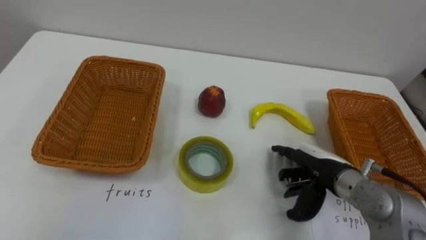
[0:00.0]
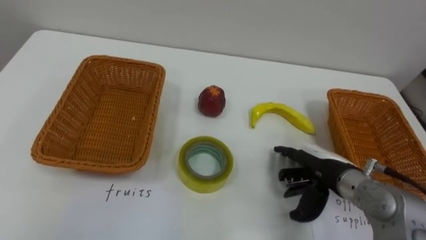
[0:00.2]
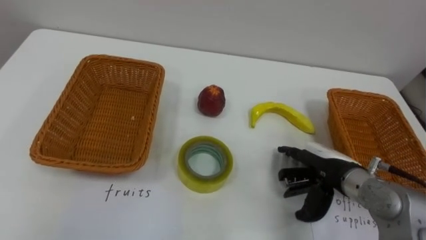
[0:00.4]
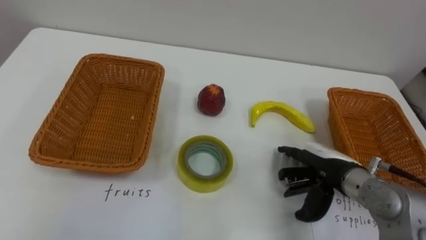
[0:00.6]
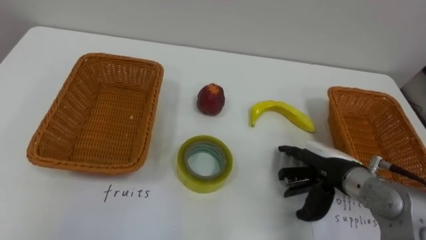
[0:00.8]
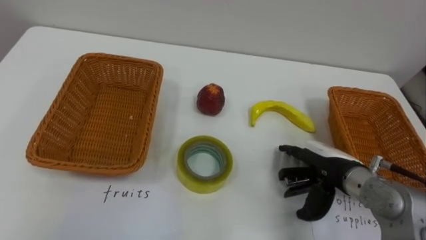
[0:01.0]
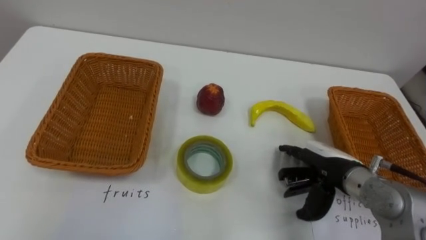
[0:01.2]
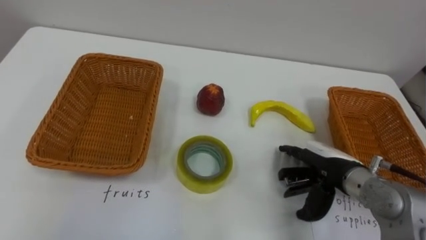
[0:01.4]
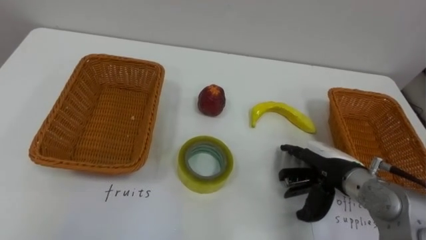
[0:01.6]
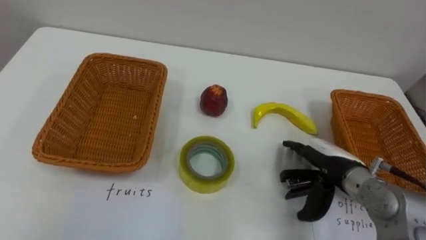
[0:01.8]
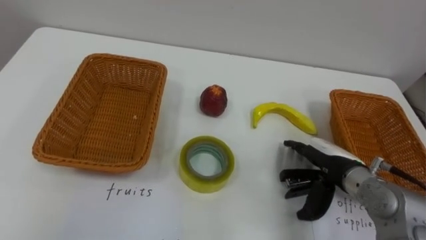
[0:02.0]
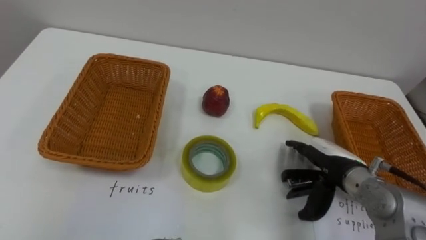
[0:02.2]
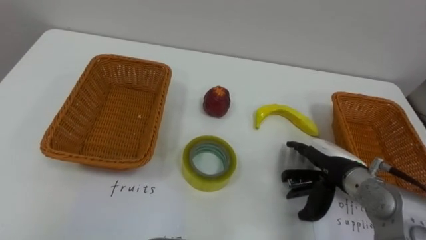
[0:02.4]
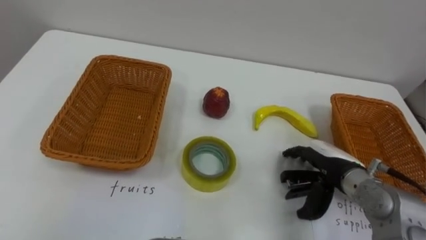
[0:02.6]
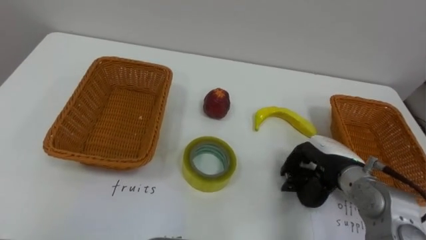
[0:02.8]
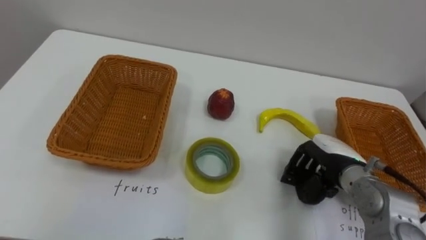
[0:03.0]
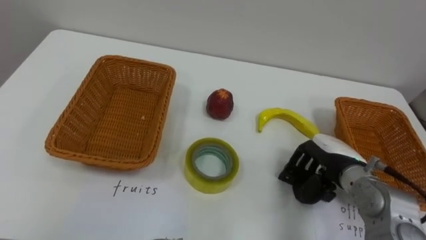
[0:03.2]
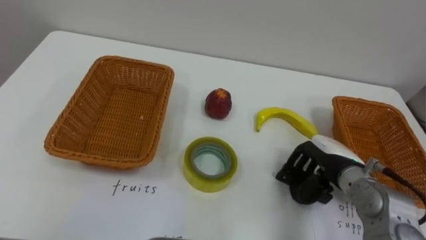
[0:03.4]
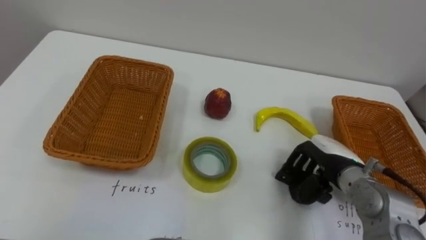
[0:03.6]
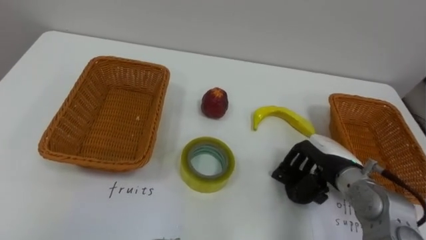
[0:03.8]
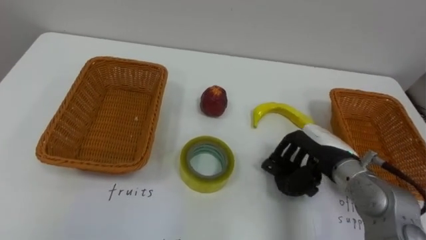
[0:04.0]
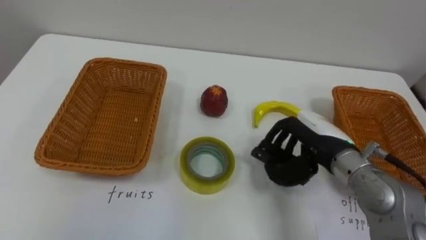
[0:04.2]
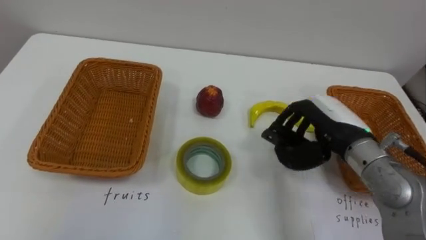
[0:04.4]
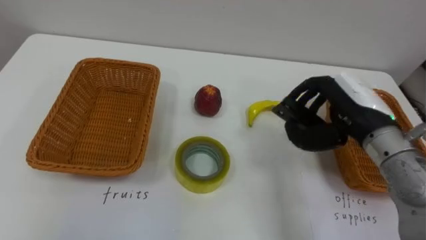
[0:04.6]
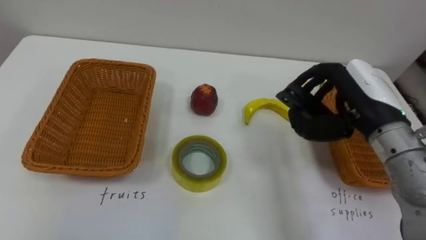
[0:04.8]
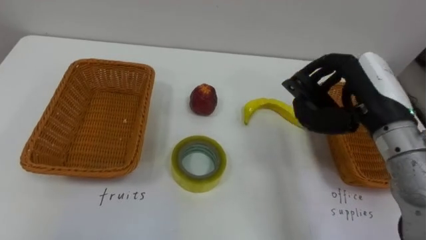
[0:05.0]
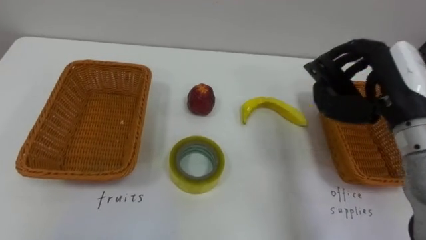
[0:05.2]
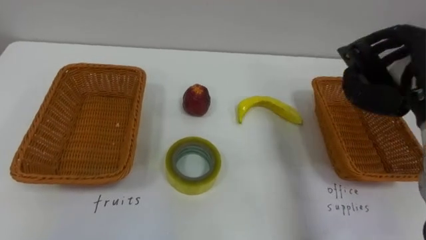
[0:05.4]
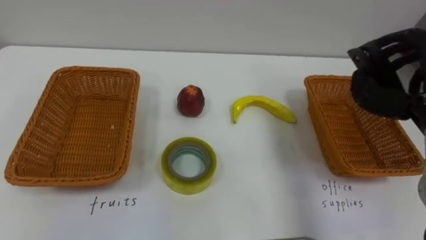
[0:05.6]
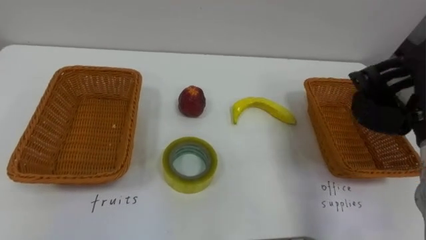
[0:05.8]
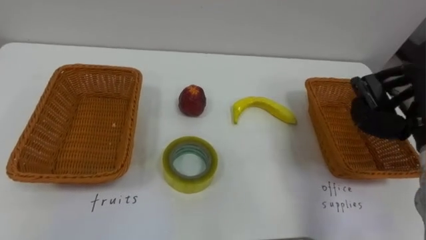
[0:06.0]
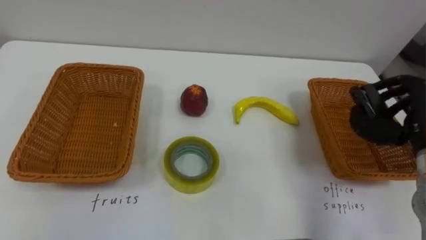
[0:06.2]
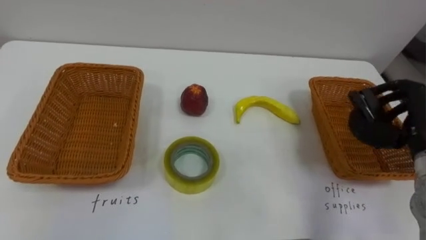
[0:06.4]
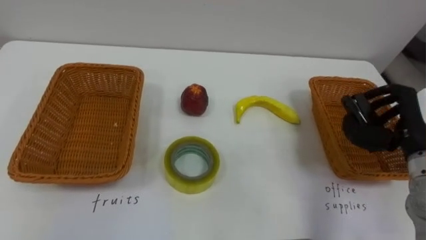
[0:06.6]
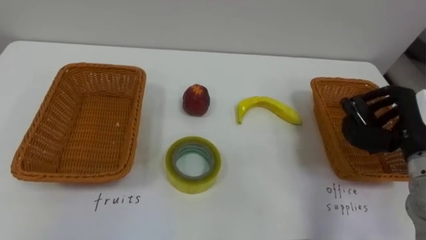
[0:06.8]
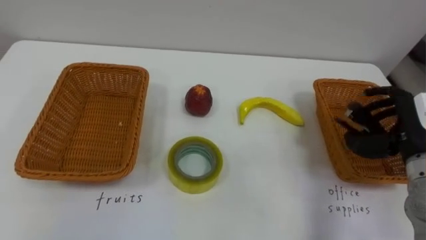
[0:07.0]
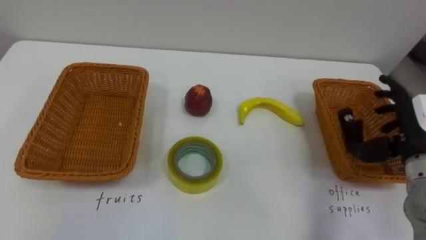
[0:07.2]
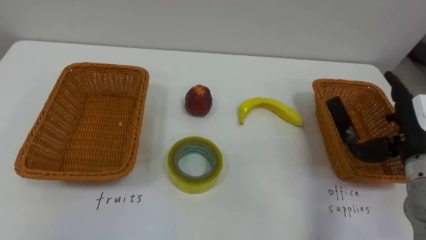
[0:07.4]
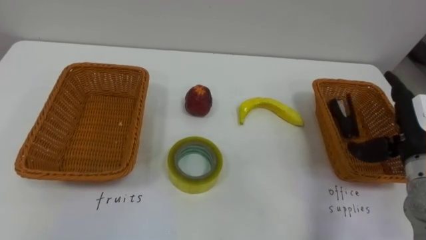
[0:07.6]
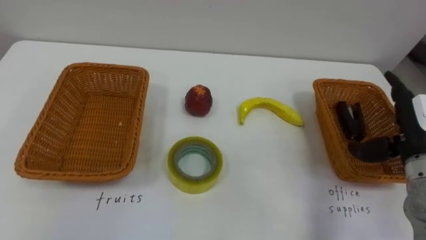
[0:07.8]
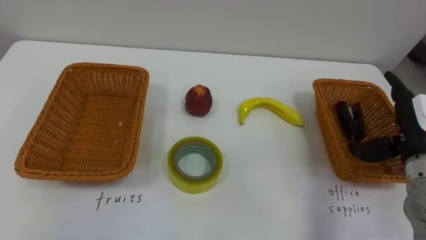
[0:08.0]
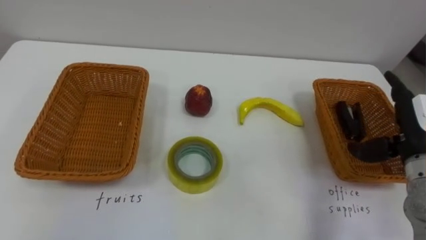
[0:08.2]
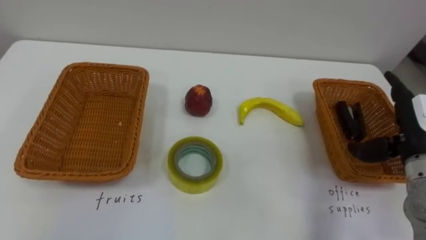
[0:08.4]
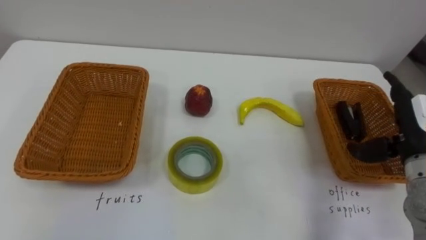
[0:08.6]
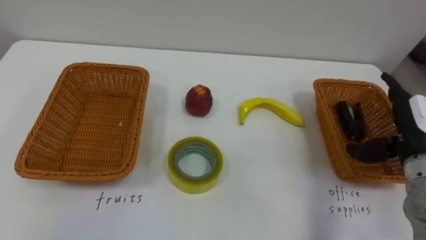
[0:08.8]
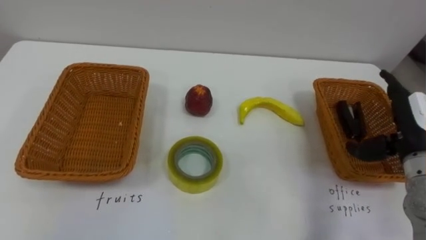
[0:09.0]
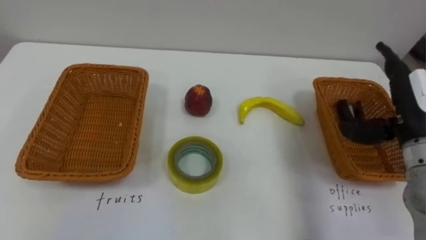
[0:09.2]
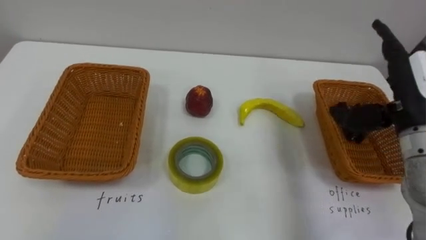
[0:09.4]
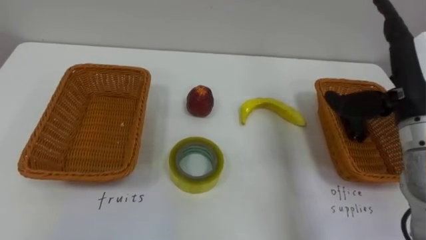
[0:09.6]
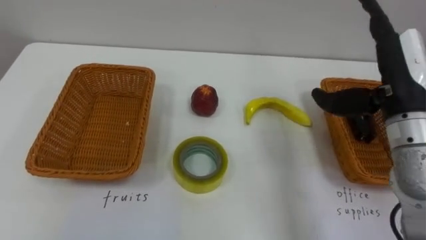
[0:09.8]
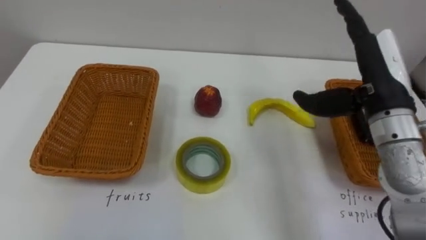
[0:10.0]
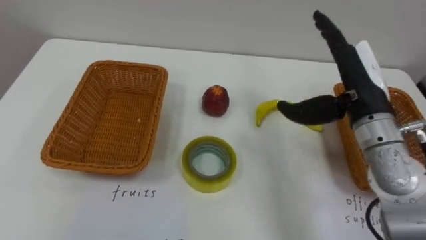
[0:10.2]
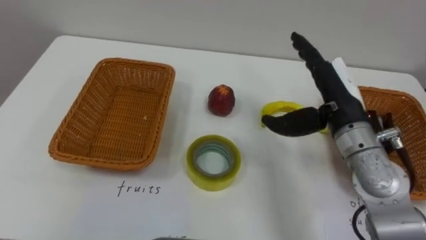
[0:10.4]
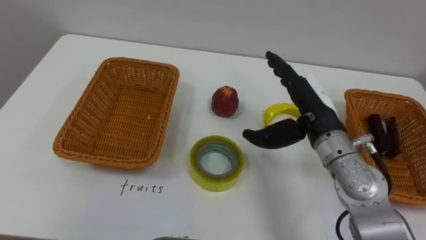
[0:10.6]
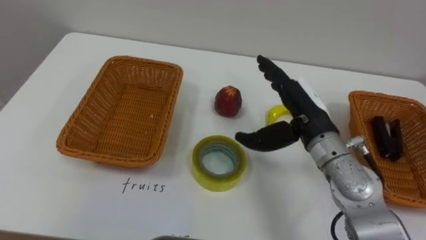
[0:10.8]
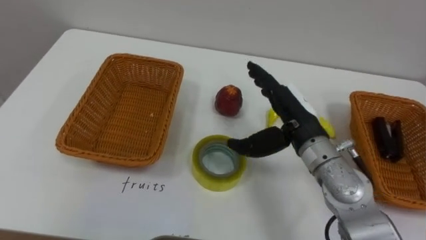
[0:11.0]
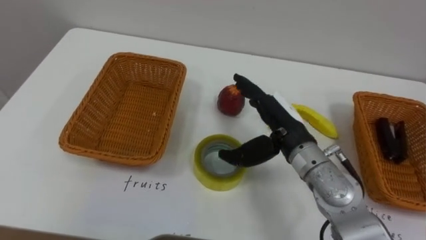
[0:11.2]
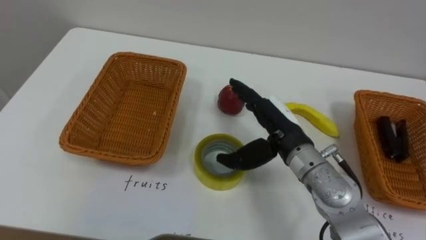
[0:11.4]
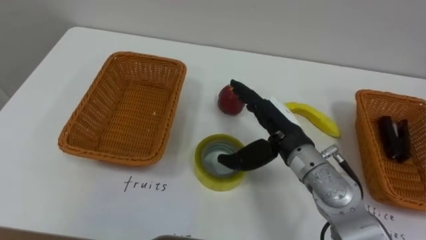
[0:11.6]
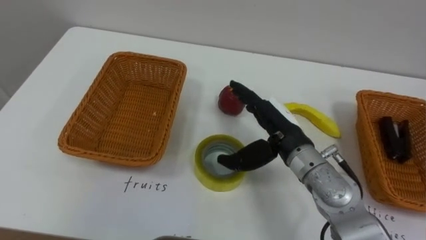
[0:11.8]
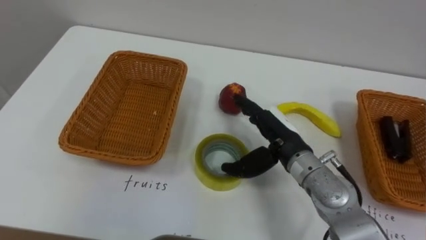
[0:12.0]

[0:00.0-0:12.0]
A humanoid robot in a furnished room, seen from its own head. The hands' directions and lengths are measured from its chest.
Task of the whole recording: Separate the items on the table and place them into the two baskets.
0:01.6 to 0:03.0: The right hand closes.
0:03.0 to 0:04.4: The right hand moves upward, some 10 cm.
0:09.0 to 0:10.4: The right hand travels to the left by about 15 cm.
0:10.4 to 0:12.0: The right hand is displaced downward and to the left by about 10 cm.

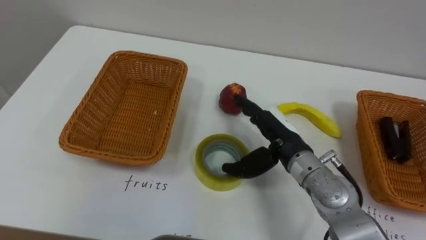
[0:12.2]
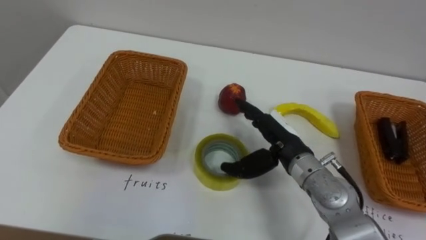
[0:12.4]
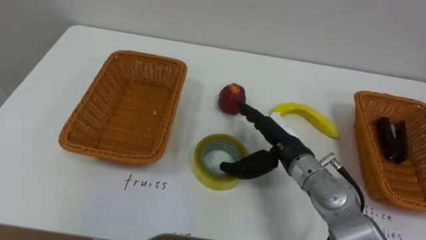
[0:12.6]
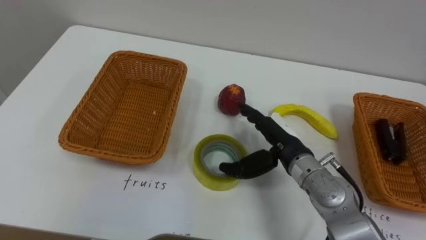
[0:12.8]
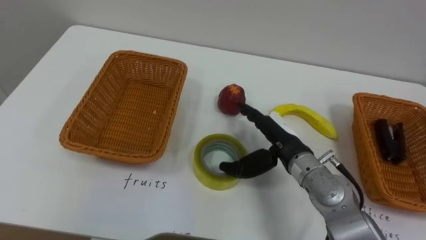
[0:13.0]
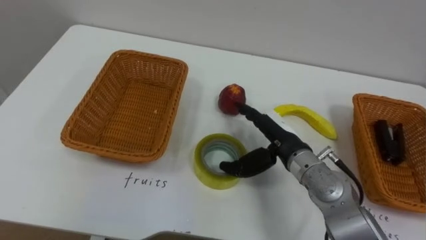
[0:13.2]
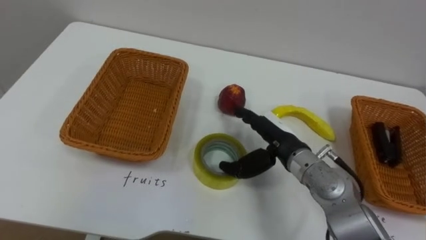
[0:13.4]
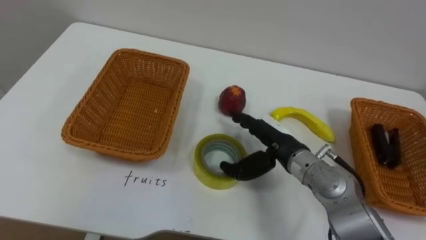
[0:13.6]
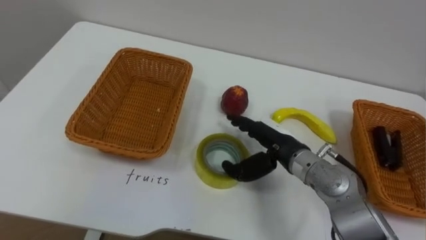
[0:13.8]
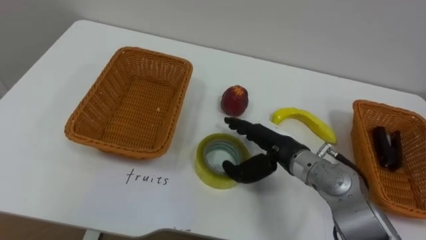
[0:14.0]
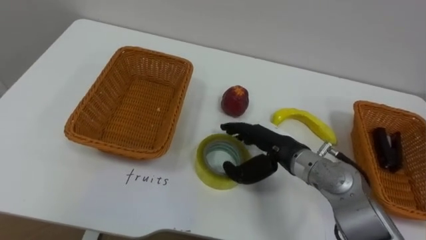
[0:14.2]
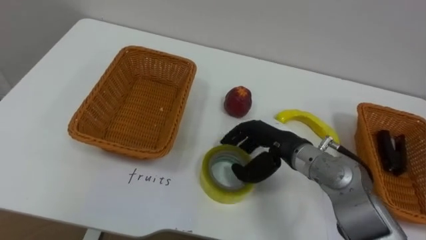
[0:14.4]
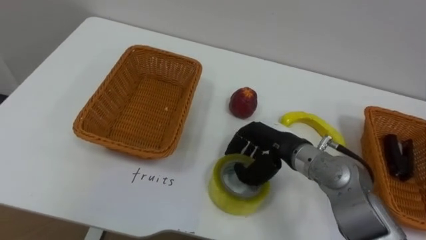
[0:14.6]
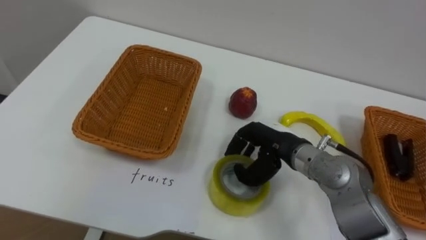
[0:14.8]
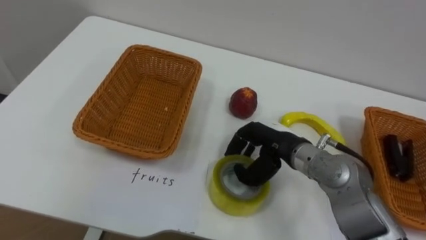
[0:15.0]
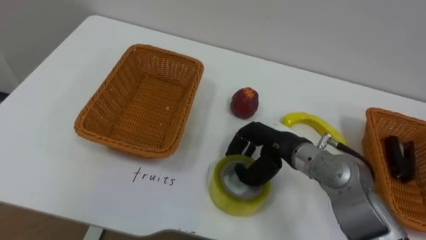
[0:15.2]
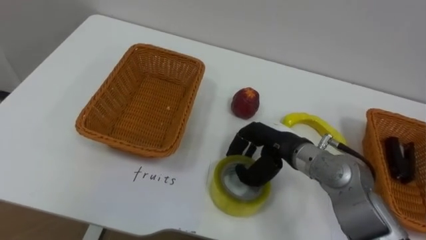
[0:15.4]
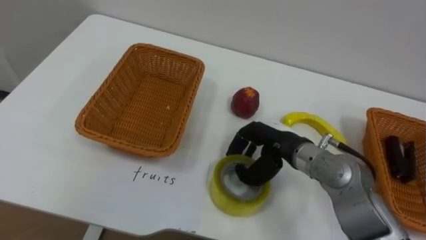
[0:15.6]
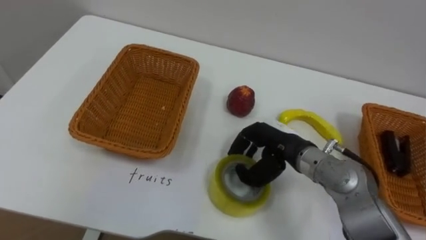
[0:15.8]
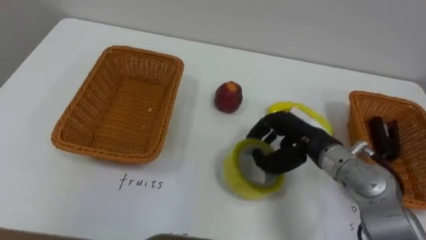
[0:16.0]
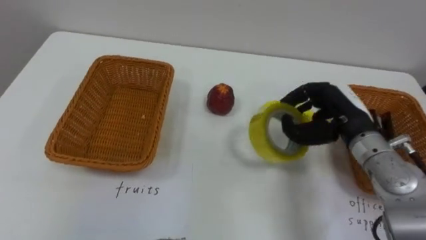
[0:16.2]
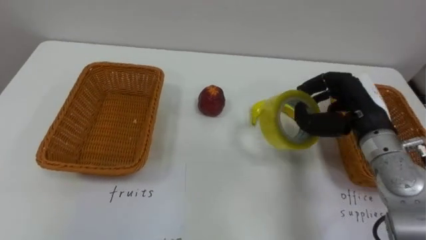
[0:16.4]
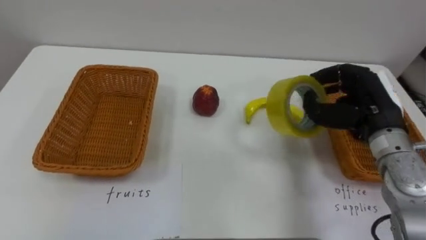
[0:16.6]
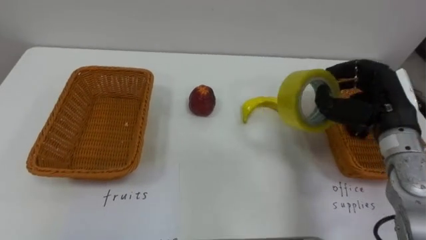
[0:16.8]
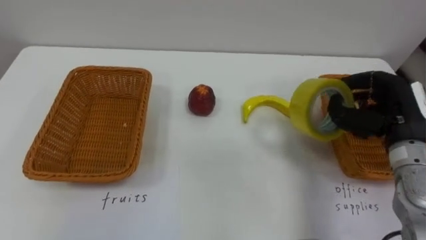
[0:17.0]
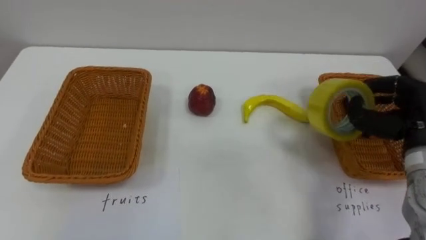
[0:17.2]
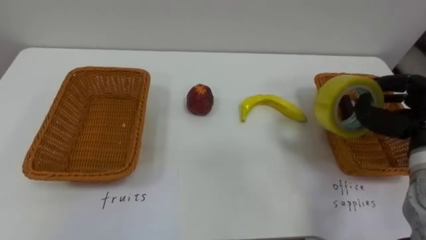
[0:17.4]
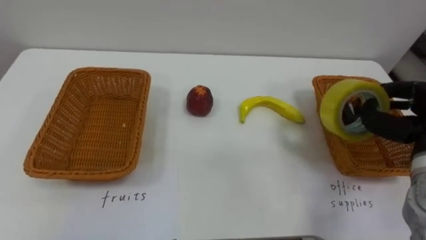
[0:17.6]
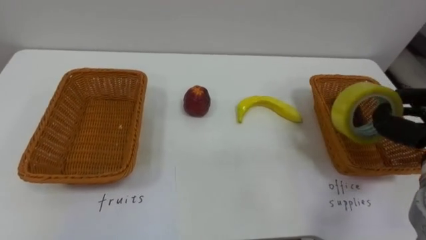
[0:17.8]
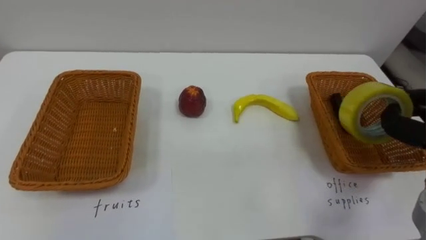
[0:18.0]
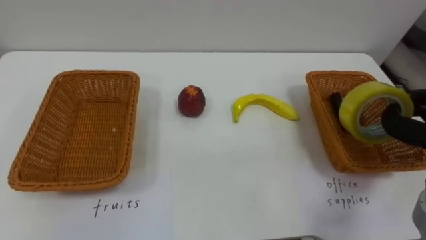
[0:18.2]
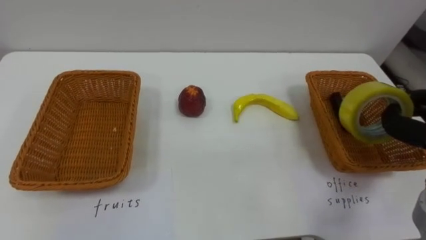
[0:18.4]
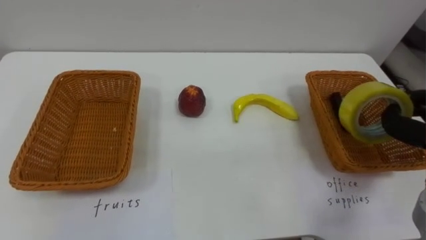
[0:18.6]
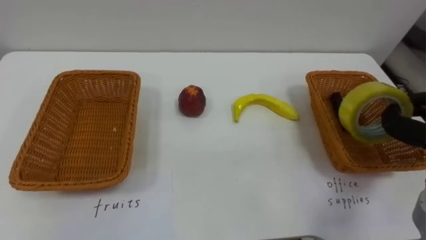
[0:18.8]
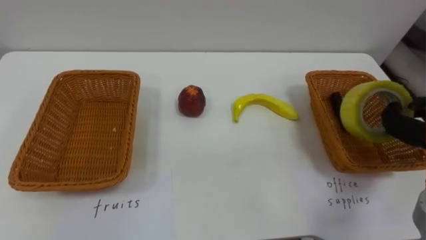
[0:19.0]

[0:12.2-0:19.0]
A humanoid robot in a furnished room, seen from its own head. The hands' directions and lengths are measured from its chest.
Task of the whole recording: Separate the items on the table and place them into the two baskets.
0:13.6 to 0:15.0: The right hand closes its fingers.
0:15.0 to 0:16.2: The right hand shifts some 10 cm to the right and upward.
